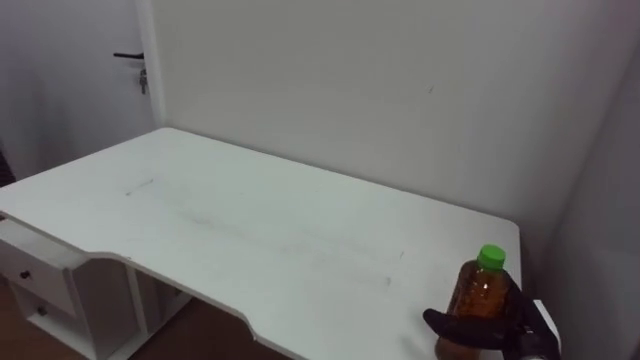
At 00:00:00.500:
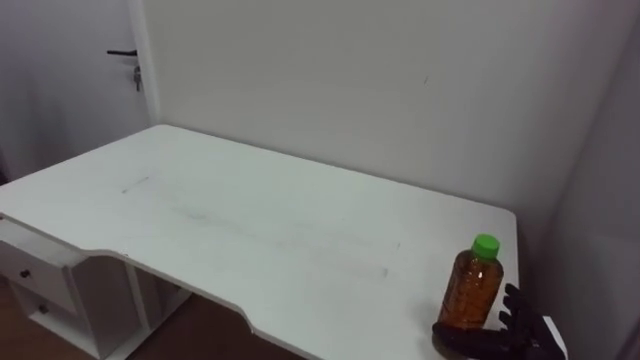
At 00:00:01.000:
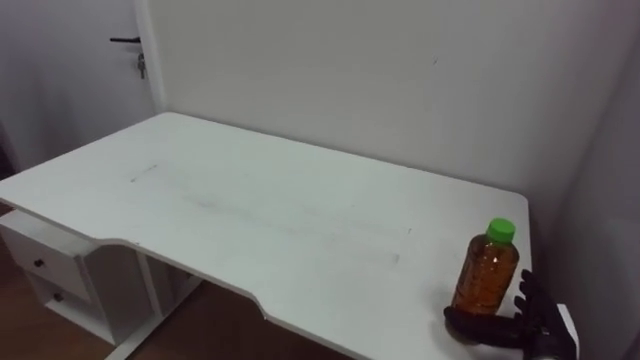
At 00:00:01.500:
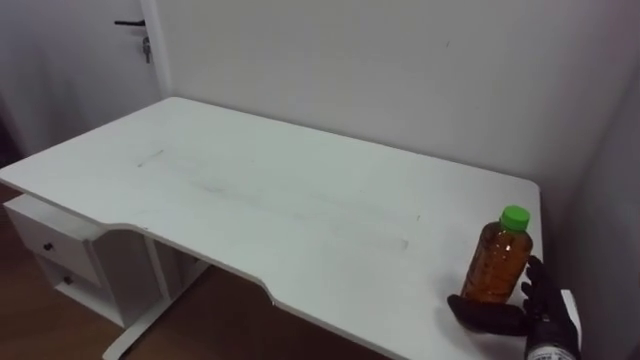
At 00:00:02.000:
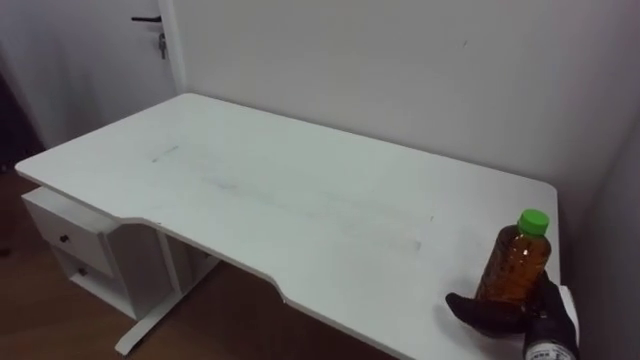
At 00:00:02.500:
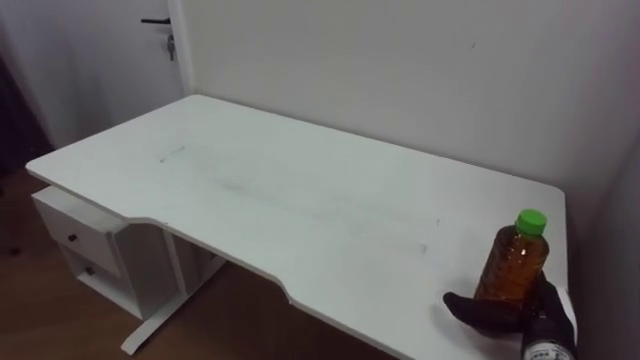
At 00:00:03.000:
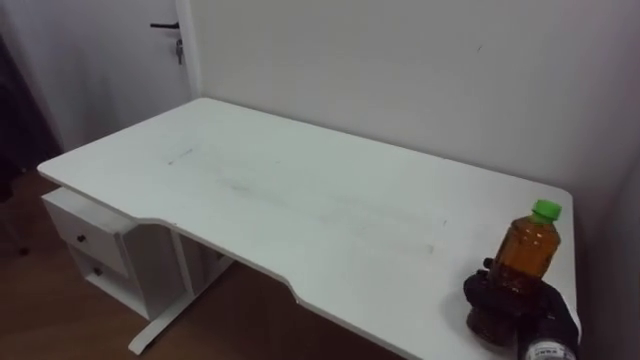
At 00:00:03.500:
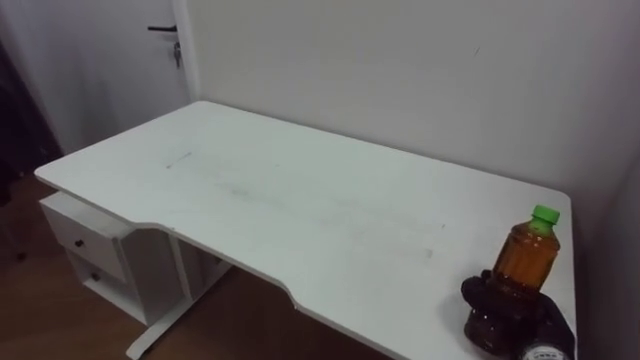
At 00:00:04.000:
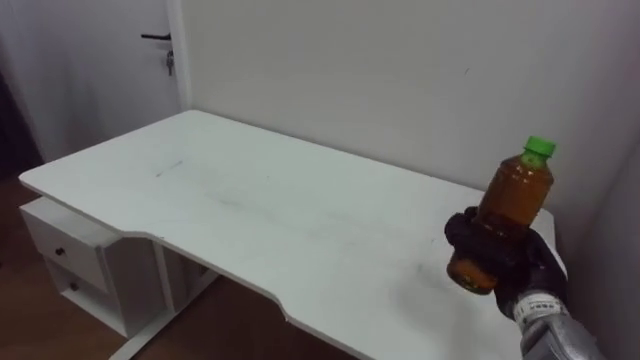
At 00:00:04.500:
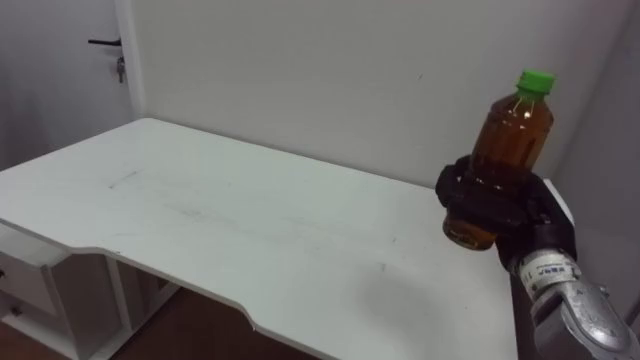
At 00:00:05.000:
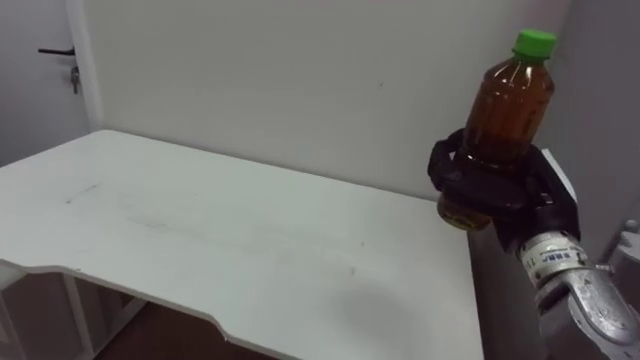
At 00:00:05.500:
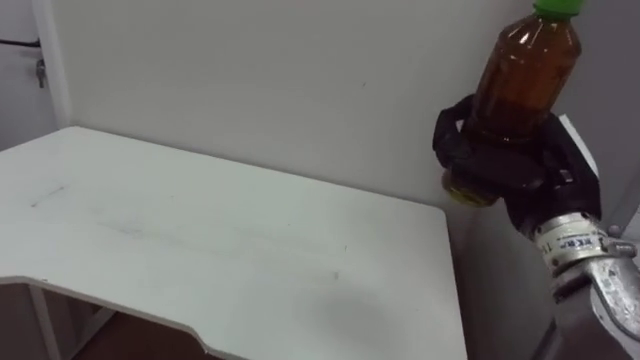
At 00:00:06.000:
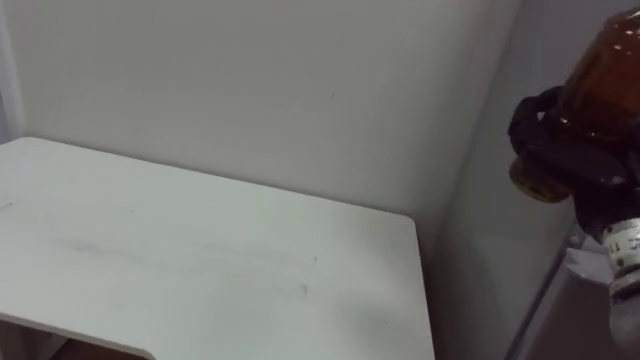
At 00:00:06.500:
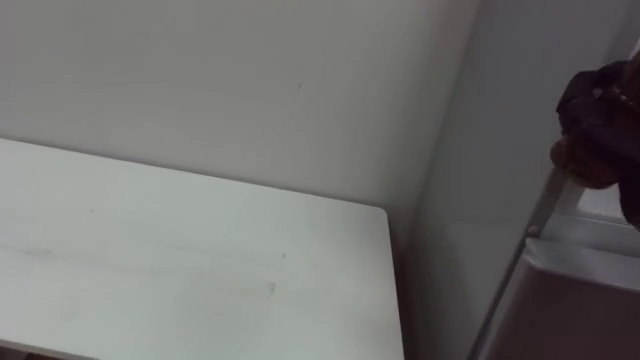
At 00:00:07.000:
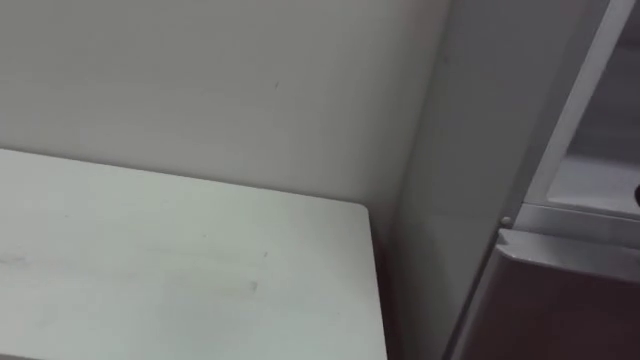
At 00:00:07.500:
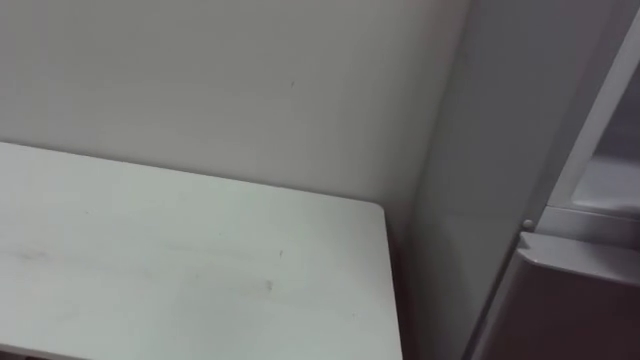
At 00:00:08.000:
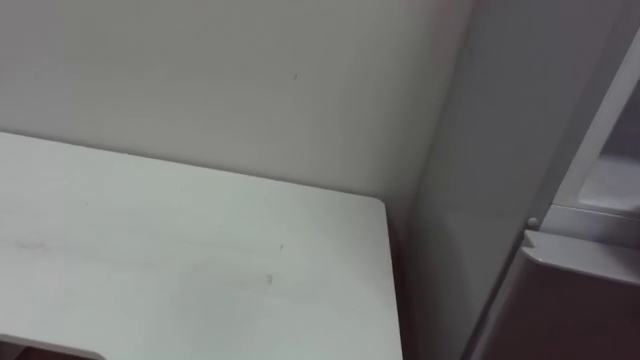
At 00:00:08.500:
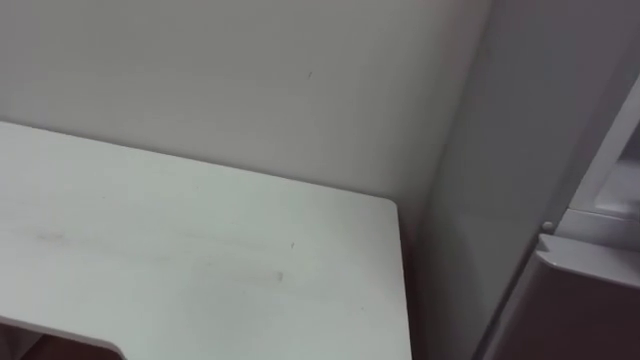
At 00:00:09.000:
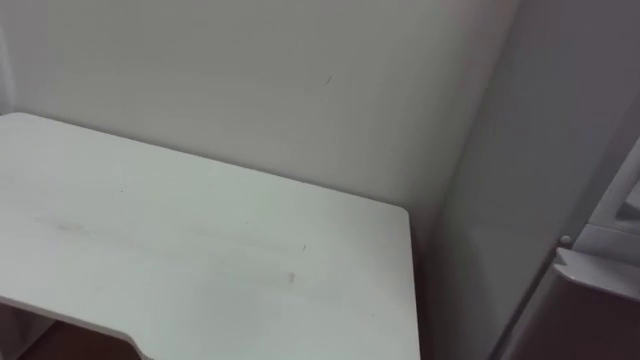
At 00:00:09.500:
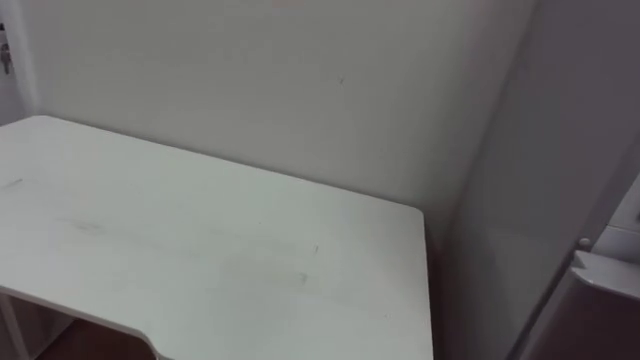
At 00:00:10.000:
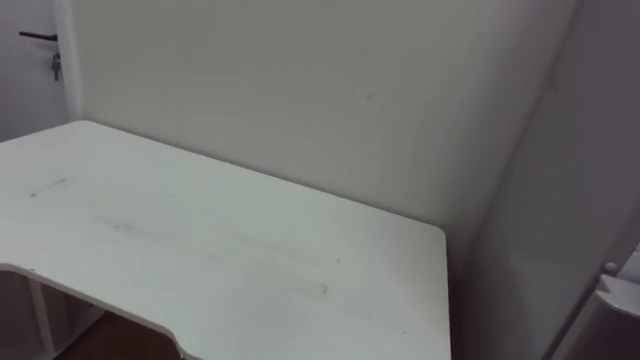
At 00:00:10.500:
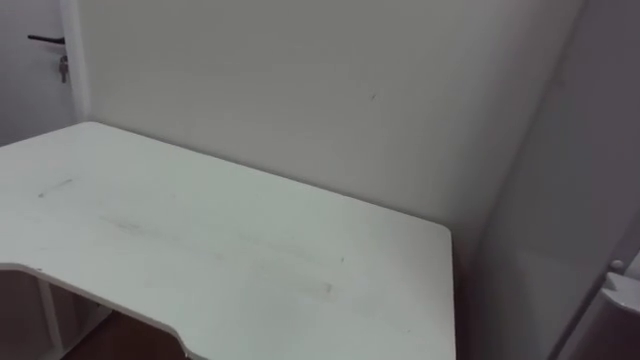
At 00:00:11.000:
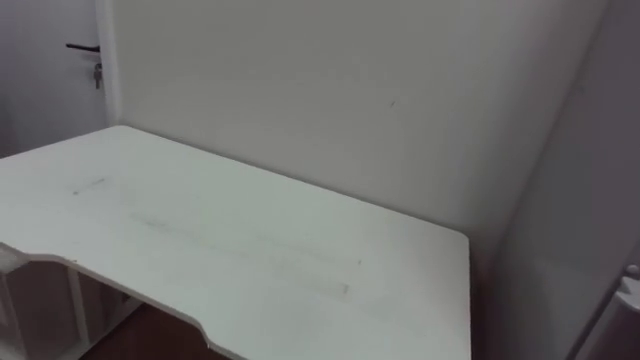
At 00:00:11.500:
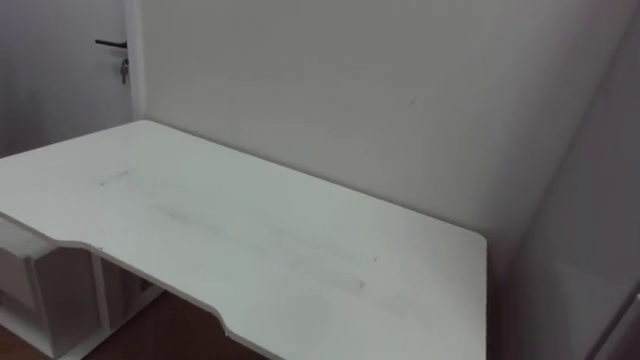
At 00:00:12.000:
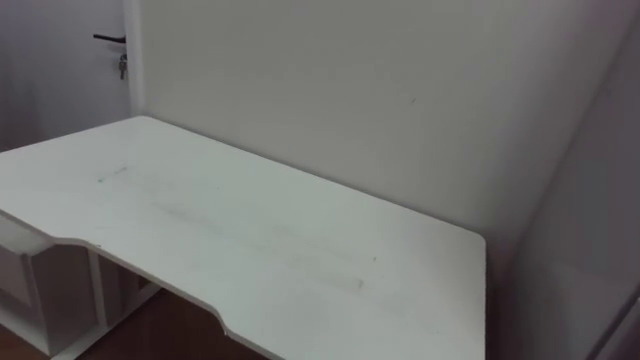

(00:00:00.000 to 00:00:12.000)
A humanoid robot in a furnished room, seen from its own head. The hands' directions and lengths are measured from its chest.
Task of the whole recording: Open the upper refrigerator door, put the drink from the table into the refrigerator, and then close the refrigerator door.
00:00:02.000 - 00:00:04.000: The right hand goes roughly 5 cm upward, and closes its fingers.
00:00:04.000 - 00:00:06.000: The right hand heads upward, covering roughly 15 cm.

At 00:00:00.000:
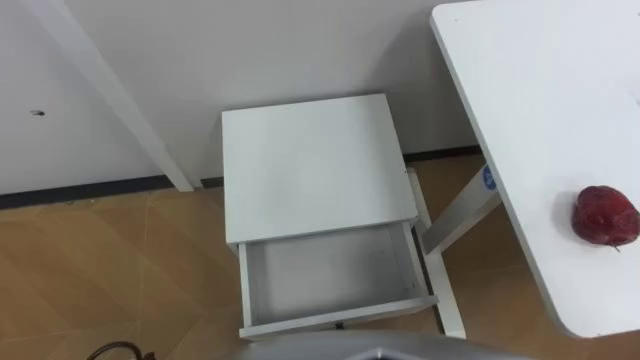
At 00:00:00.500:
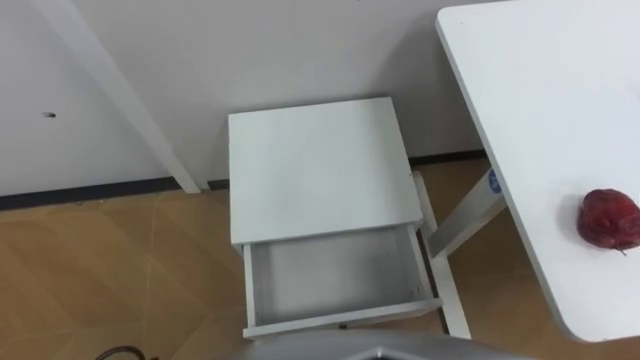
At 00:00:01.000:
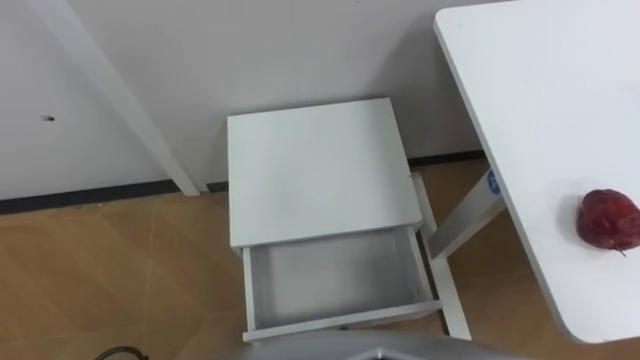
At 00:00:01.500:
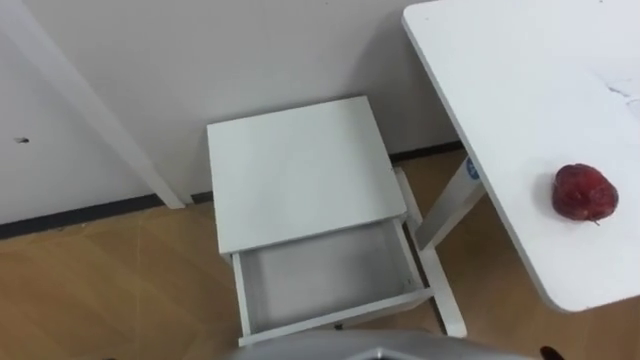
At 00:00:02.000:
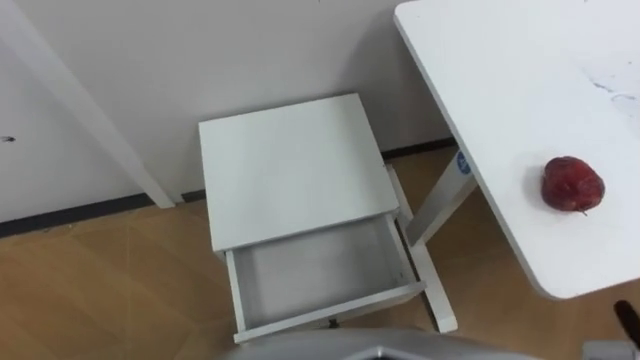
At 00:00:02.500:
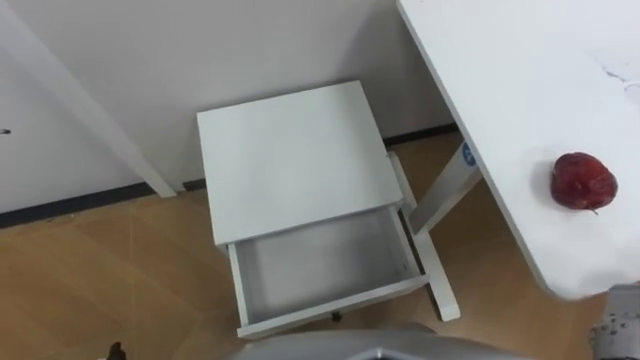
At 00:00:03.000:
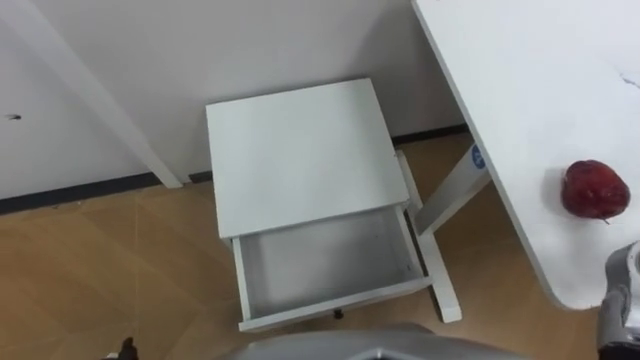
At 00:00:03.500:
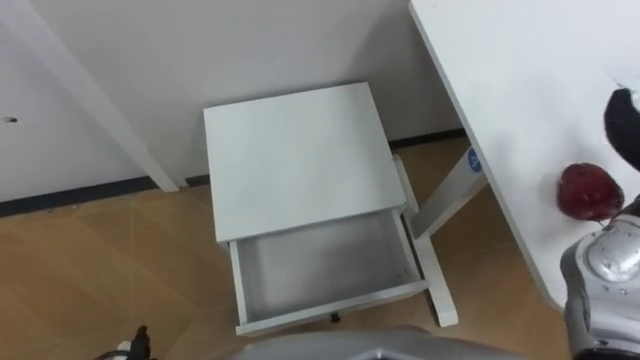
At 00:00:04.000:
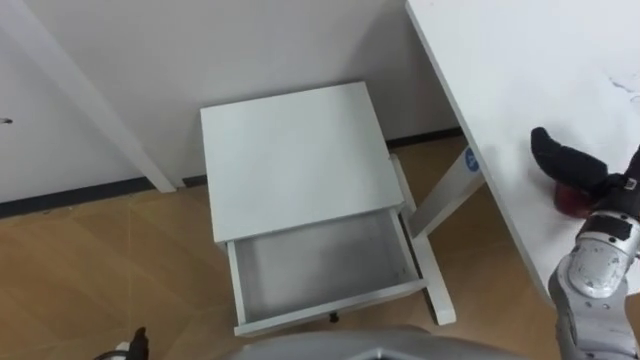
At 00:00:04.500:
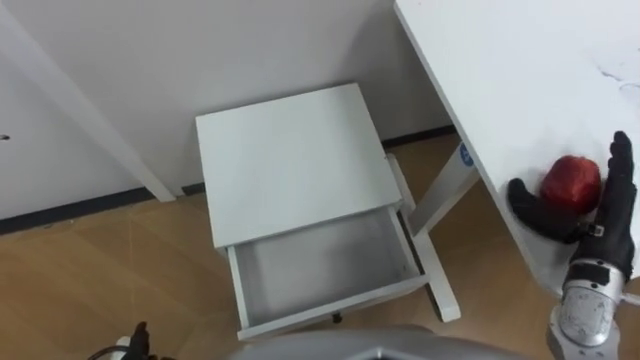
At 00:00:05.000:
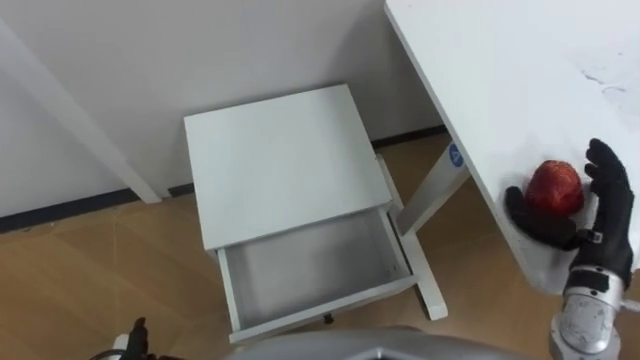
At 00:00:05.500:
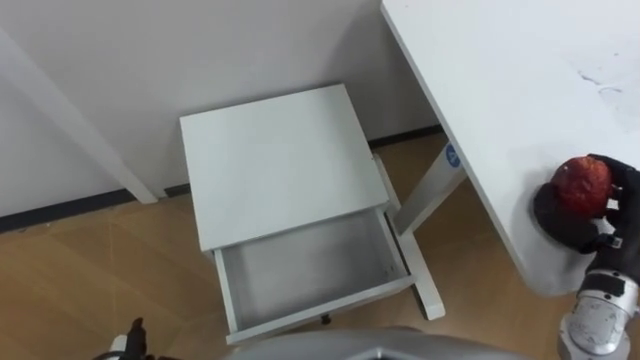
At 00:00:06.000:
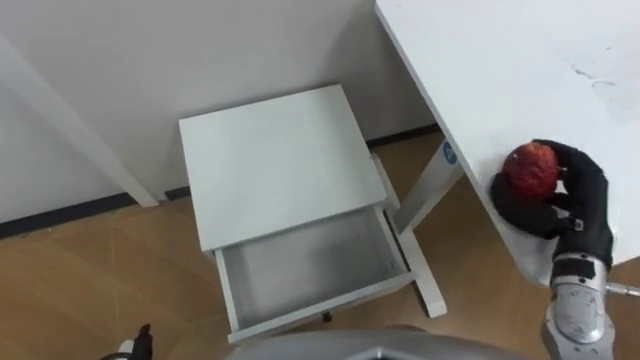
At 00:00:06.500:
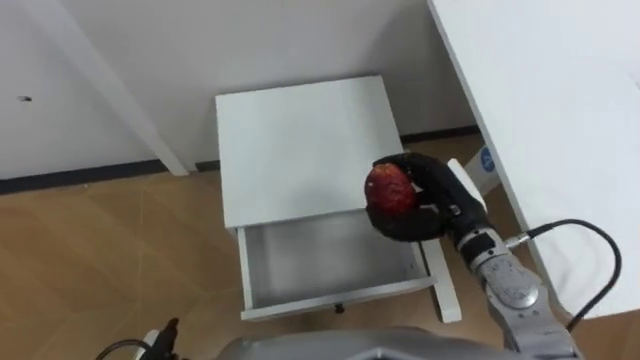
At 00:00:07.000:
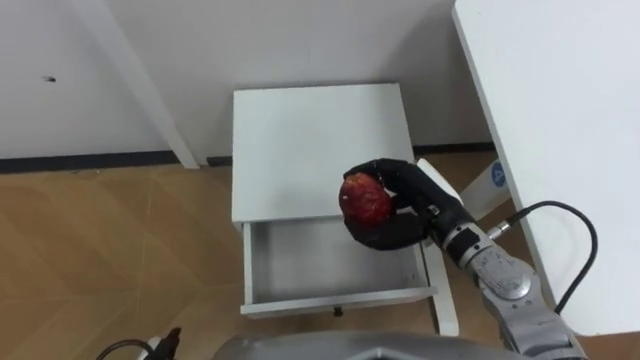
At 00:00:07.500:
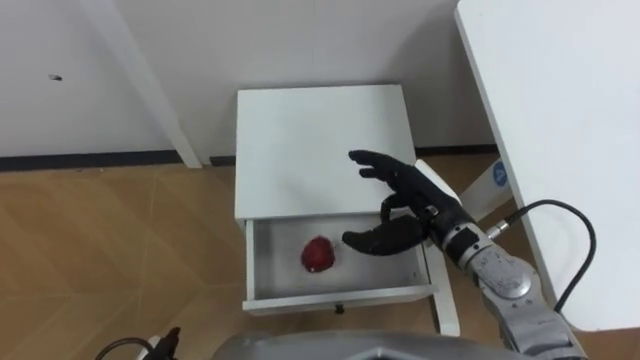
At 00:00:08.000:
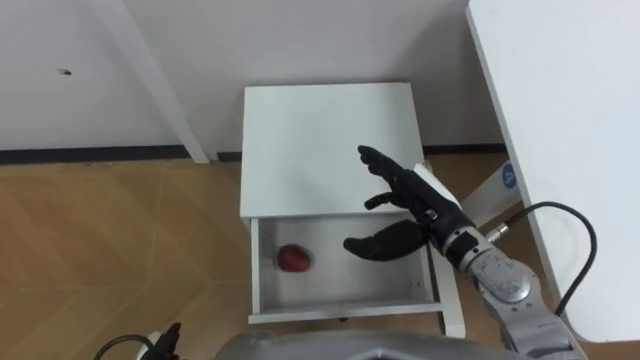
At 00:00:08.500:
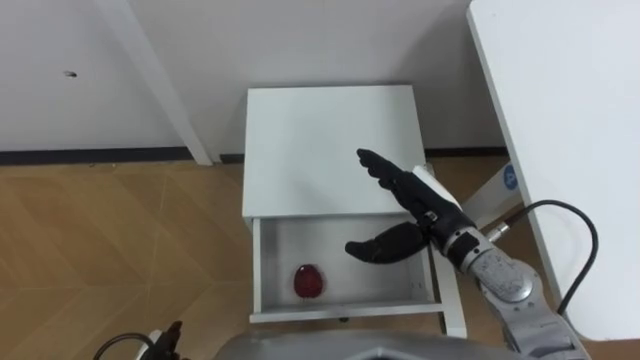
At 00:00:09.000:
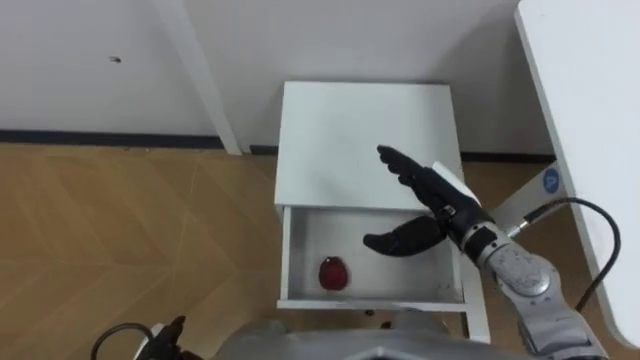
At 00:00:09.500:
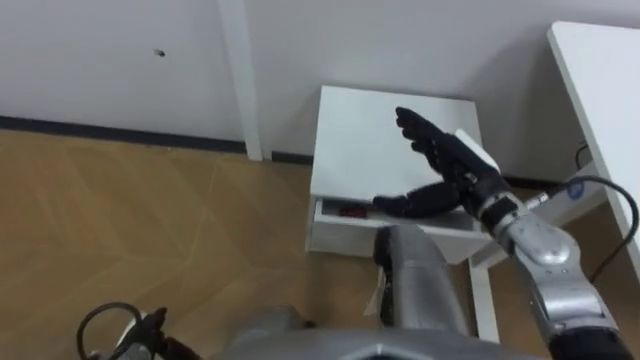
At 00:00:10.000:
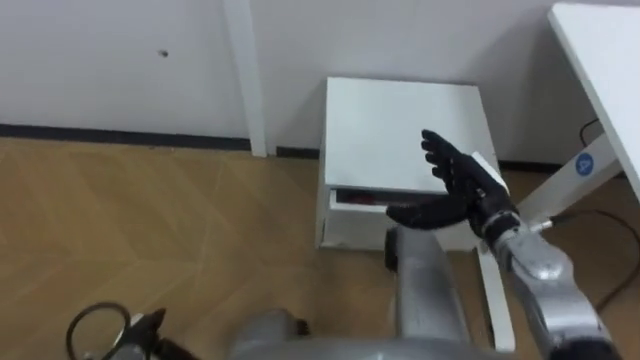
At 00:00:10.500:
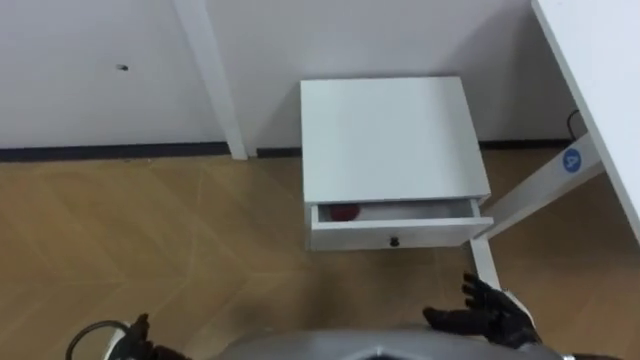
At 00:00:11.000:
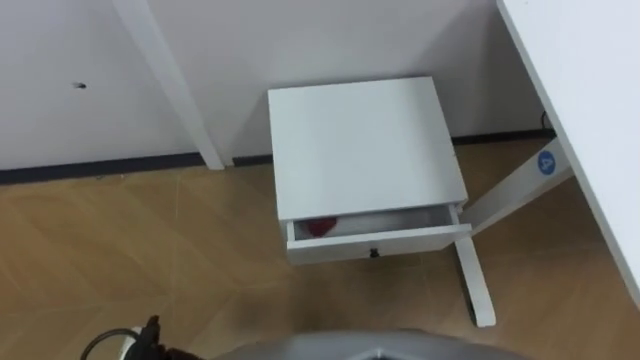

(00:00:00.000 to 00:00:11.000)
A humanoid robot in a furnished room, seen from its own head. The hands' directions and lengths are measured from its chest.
Task of the whole recording: Pick up the apple from the table, put it in the drawer, and close the drawer with leg.
00:00:05.500 - 00:00:07.500: The right hand is displaced to the left by about 20 cm.
